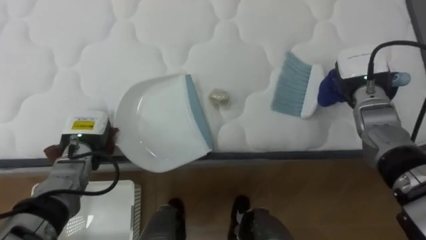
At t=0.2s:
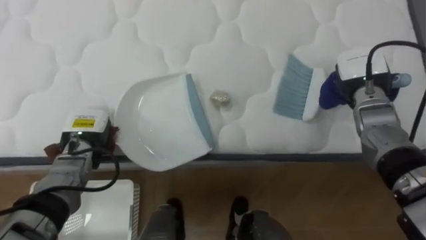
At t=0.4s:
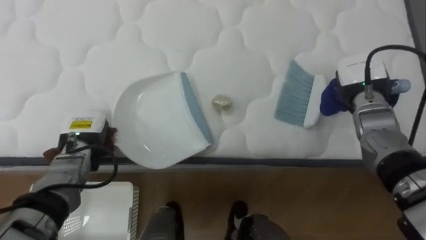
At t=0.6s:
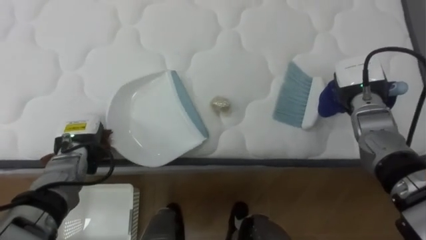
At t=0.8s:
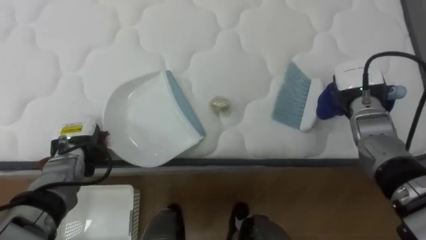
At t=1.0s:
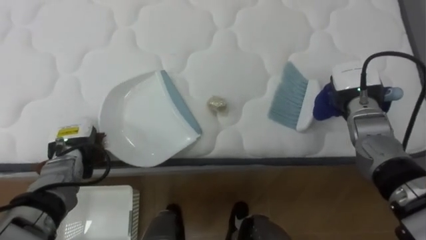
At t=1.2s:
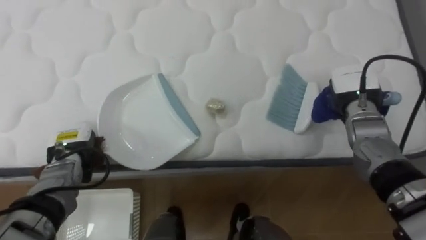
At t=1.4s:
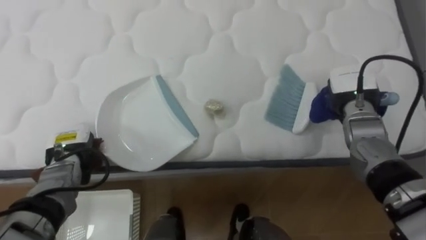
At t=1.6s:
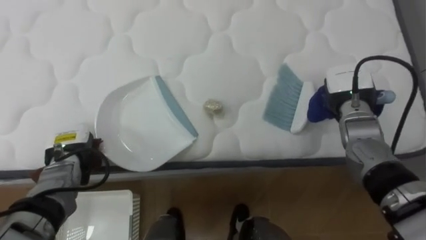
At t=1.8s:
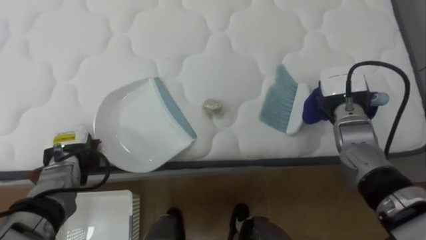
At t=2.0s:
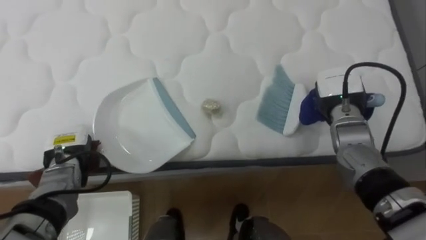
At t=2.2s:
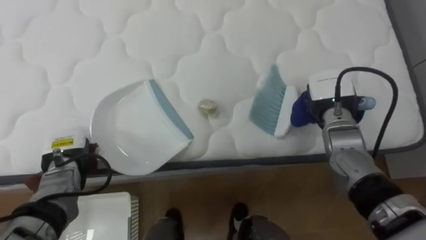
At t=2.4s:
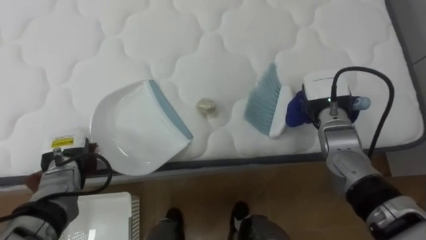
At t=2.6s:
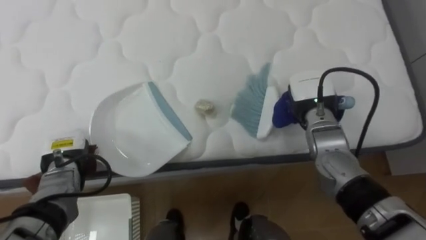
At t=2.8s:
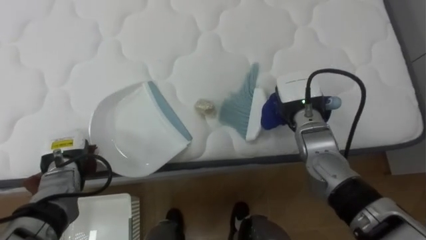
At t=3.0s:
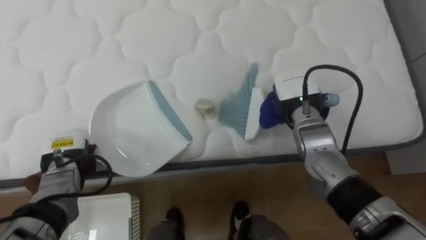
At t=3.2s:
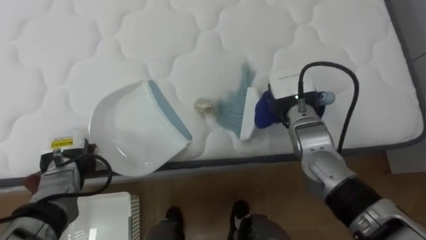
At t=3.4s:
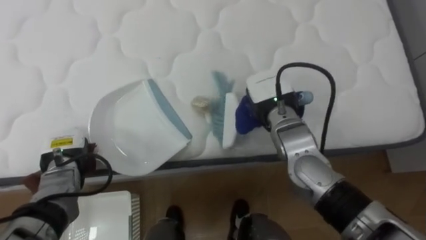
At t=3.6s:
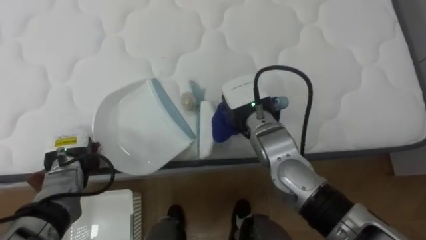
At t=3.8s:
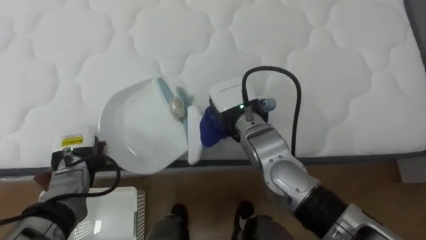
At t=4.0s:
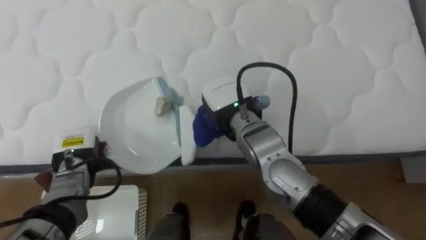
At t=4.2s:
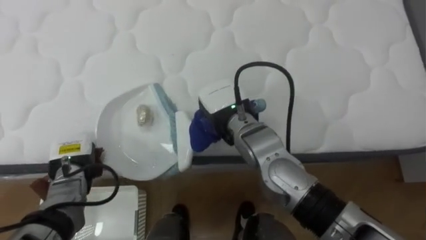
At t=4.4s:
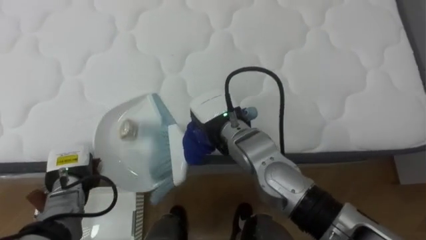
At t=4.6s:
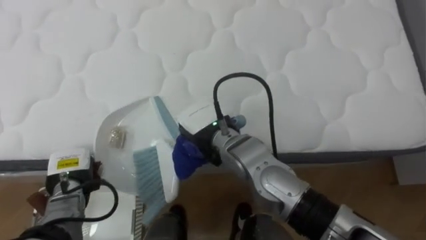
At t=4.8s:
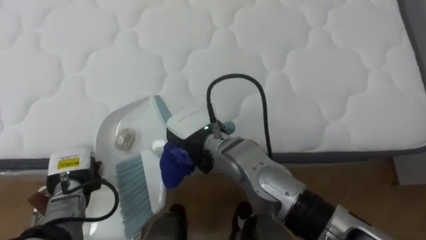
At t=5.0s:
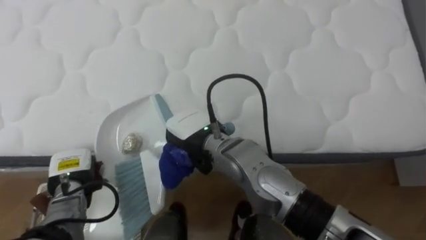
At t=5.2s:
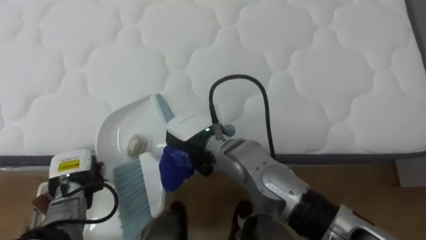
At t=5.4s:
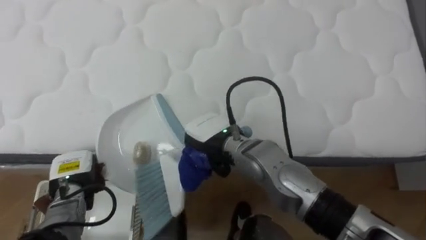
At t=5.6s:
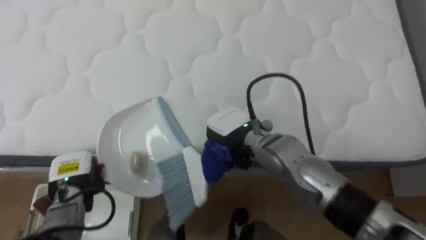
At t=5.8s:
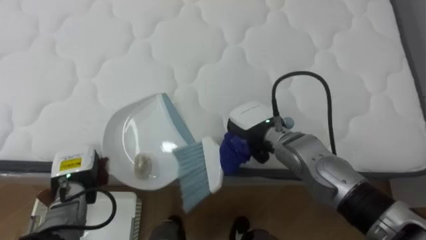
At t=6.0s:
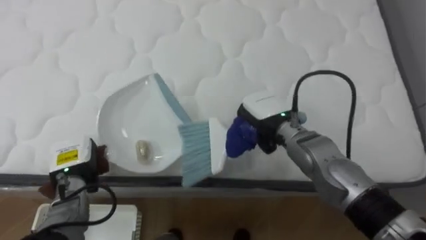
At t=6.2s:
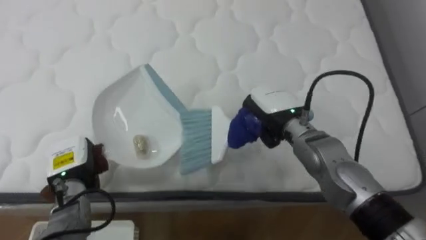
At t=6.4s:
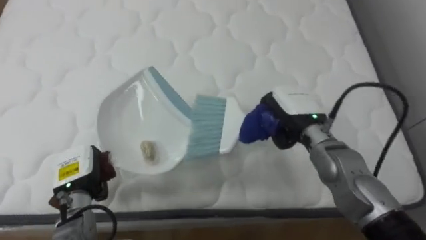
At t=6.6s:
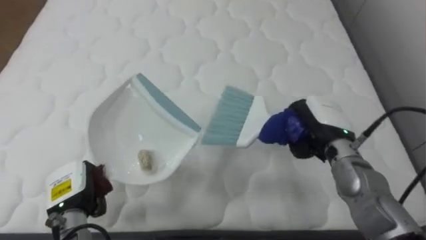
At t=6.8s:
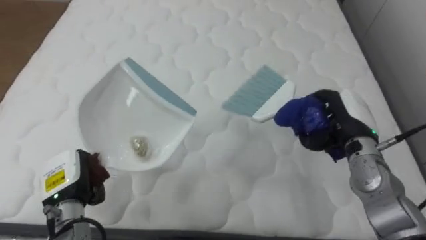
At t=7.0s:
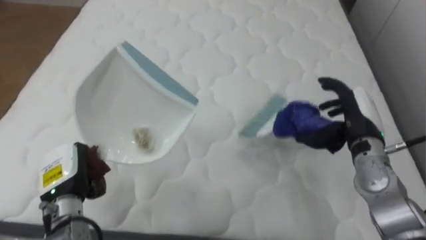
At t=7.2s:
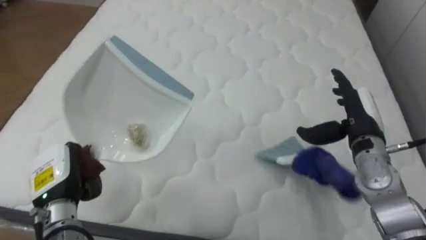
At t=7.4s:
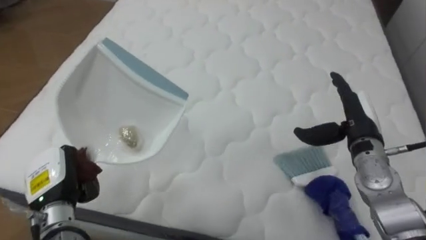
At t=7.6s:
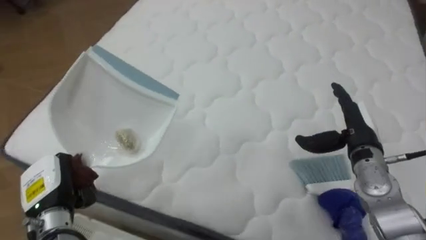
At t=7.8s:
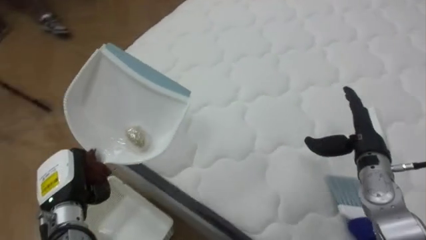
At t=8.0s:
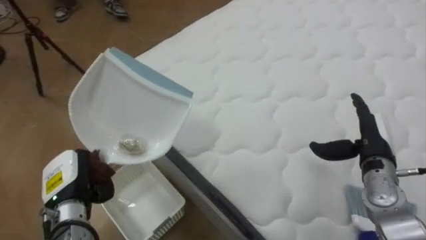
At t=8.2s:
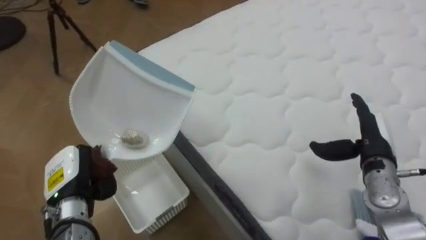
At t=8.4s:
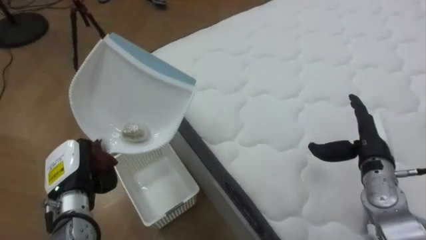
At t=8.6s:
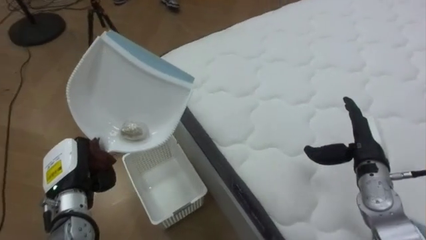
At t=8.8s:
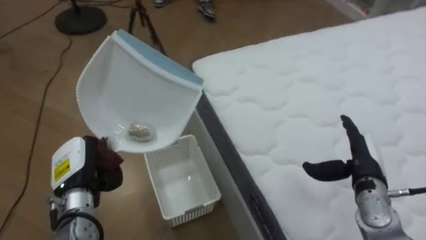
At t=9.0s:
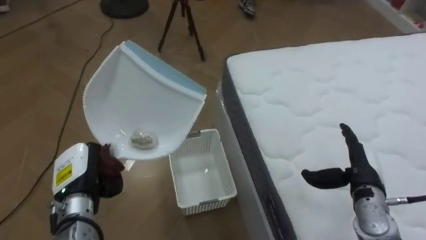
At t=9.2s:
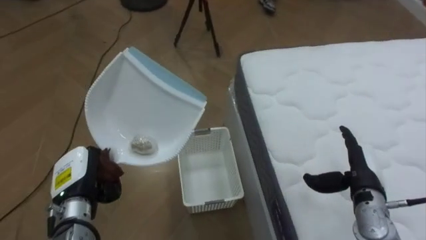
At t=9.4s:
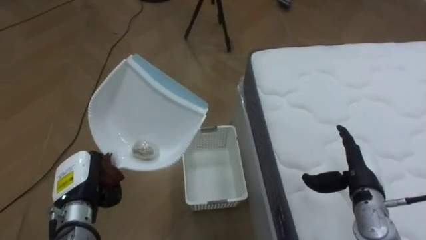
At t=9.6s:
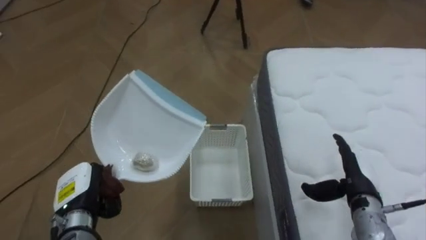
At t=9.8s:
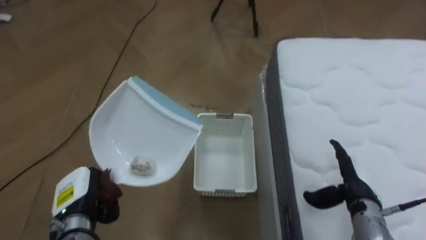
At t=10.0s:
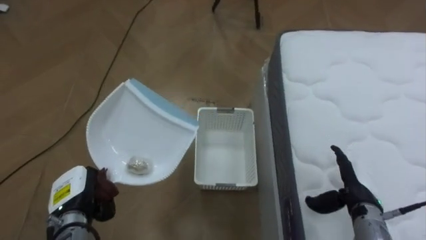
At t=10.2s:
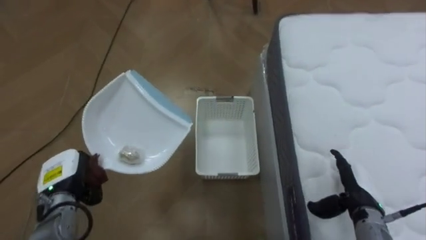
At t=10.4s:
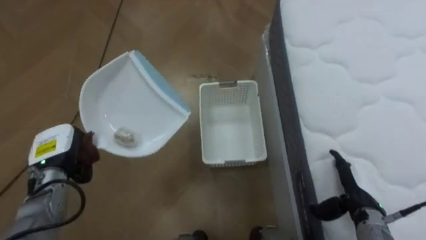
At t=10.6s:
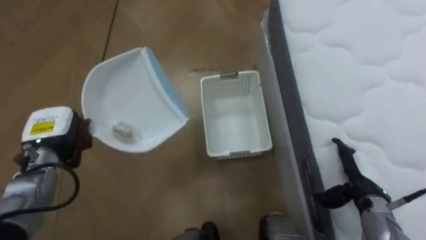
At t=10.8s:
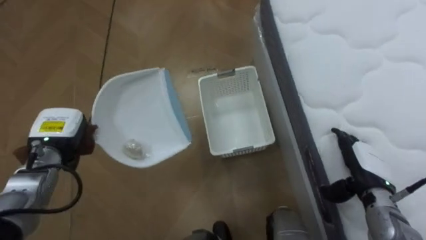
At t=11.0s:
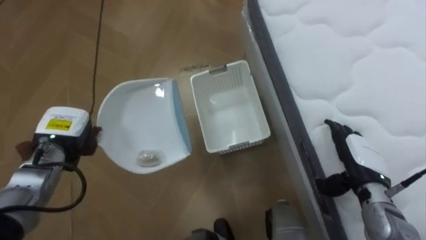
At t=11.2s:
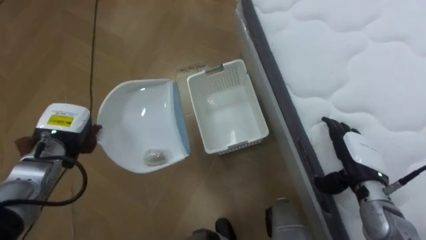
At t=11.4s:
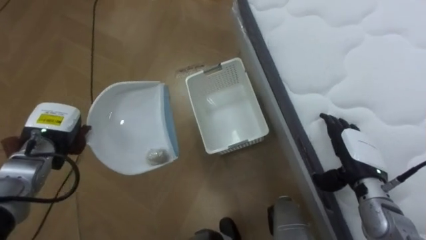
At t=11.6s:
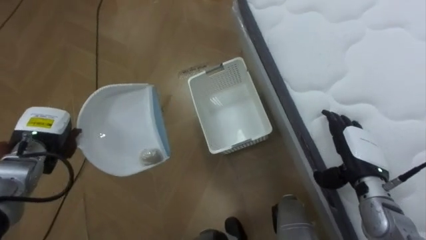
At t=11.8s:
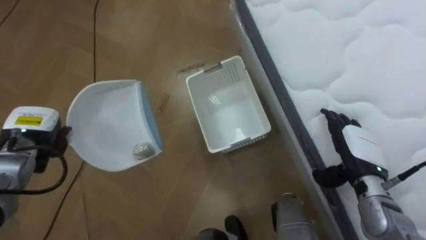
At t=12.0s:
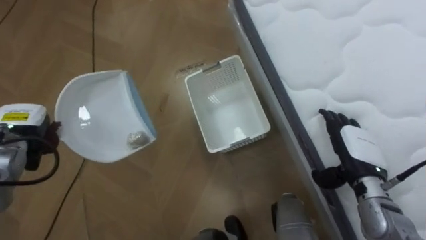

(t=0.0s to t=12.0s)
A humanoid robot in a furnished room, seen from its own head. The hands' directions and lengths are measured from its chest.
Task of the whole recording: Pick up the brush on your right and the dustpan on your left. Use the brush to sweep the crumpled paper on the bed into the dustpan, then turn left and empty it into the basket.
t=1.6s - t=3.0s: The right hand goes about 10 cm to the left.
t=3.0s - t=4.4s: The right hand travels to the left by approximately 15 cm.
t=4.4s - t=6.0s: The right hand moves to the right, roughly 10 cm.
t=6.0s - t=7.6s: The robot turns to its left by about 20 degrees. The right hand travels to the right by approximately 15 cm, and opens, while the left hand goes approximately 5 cm backward.
t=7.6s - t=9.0s: The robot's body swings roughly 65 degrees to its left. The left hand moves roughly 5 cm, while the right hand heads downward and backward, covering roughly 10 cm.
t=9.0s - t=10.4s: The robot's body swings roughly 15 degrees to its left. The left hand ends up approximately 5 cm from where it was.
t=10.4s - t=12.0s: The right hand heads upward, covering approximately 5 cm. Meanwhile the left hand is displaced to the left by about 5 cm.

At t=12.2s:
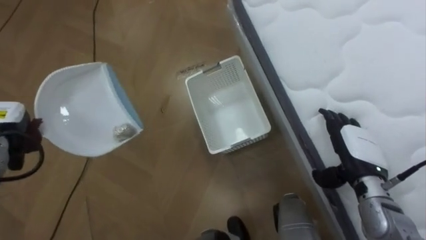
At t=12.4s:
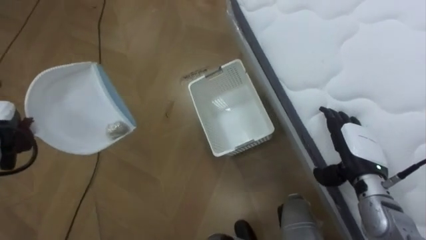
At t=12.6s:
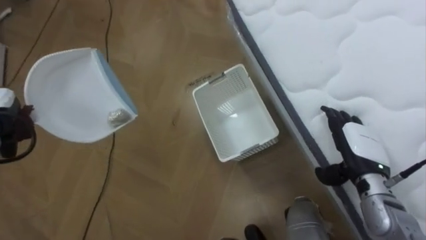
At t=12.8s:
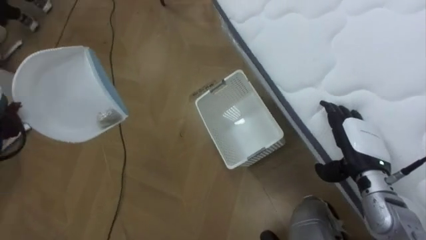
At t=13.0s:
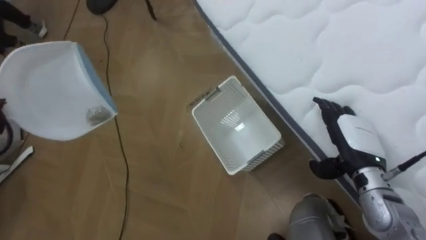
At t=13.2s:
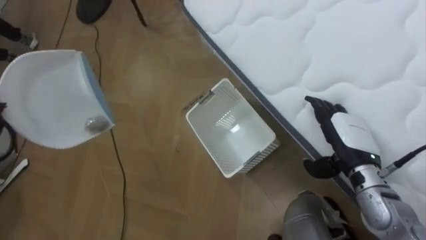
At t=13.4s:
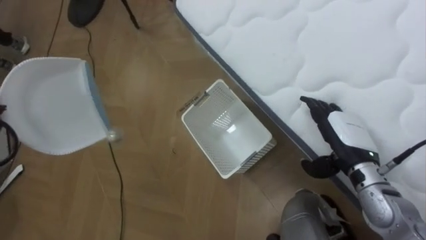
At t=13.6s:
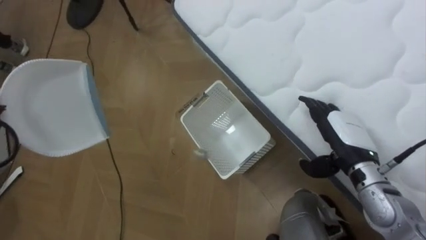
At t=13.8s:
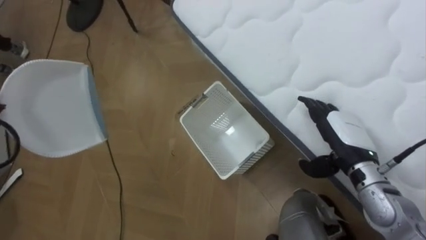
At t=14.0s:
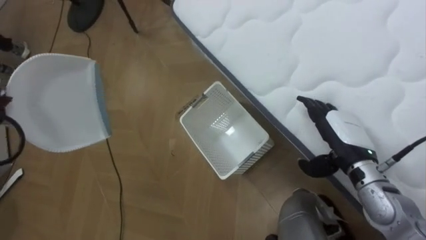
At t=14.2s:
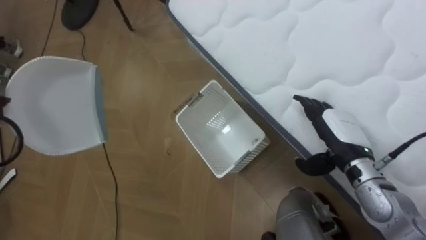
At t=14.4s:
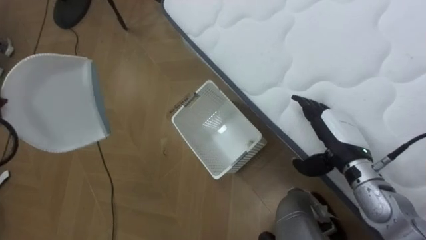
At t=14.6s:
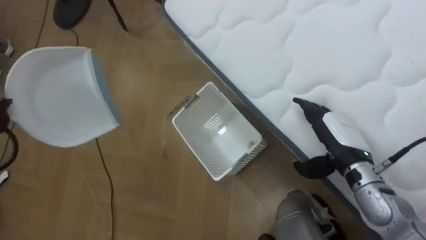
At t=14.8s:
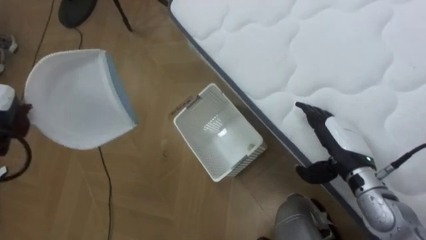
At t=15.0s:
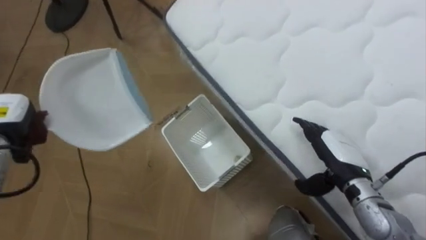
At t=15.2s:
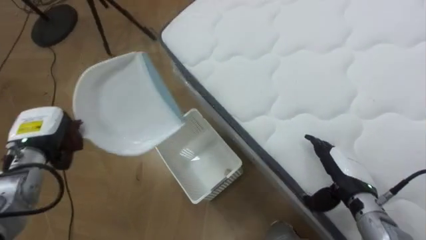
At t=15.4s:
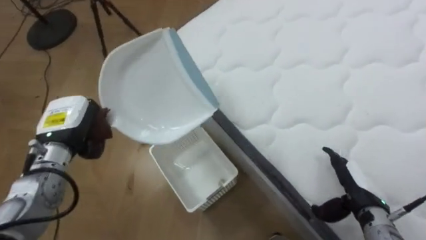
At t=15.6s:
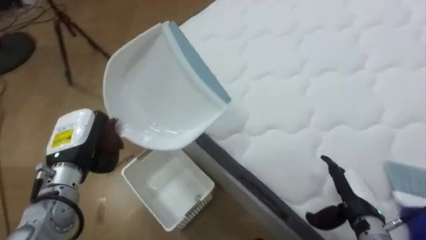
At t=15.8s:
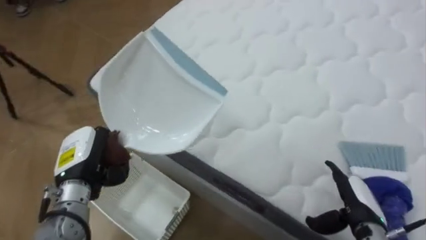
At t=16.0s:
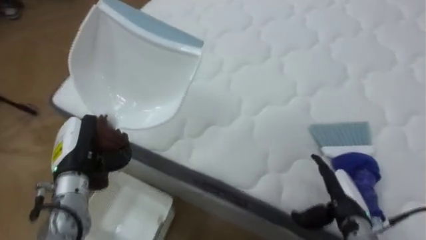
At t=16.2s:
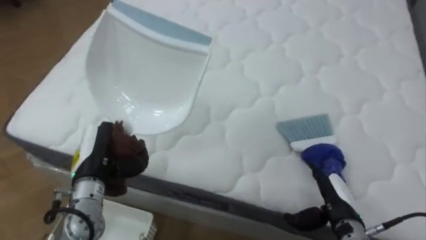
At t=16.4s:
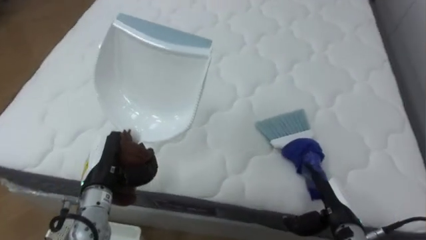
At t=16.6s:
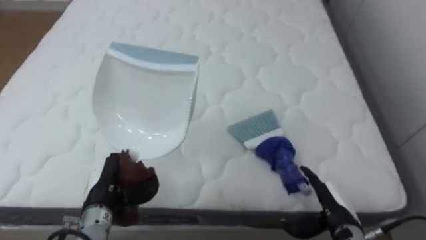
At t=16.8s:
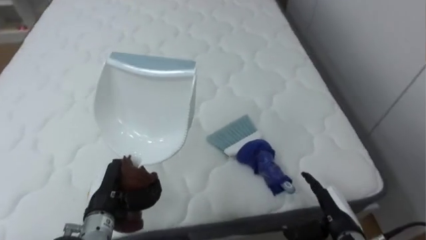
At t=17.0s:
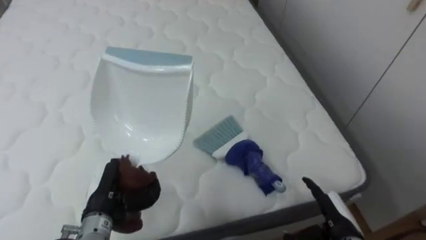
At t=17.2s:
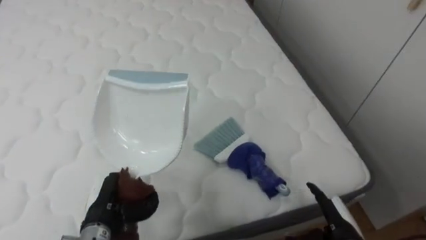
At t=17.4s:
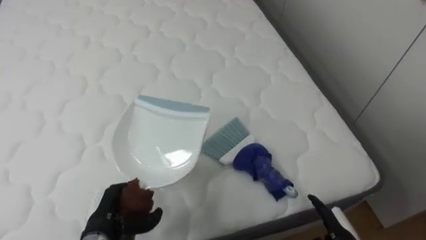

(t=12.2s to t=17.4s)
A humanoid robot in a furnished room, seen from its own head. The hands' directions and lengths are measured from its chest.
Task of the whole recording: Pick up the brush on your right and the dustpan on your left. Use the brush to sweep the crumpled paper on the bed into the dustpan, then turn left and empty it into the basket.
t=14.0s - t=15.6s: The right hand is displaced downward and backward by some 10 cm.
t=15.6s - t=17.4s: The robot rotates some 65 degrees to its right. The left hand moves downward and backward, roughly 15 cm; the right hand goes roughly 10 cm downward and backward.
